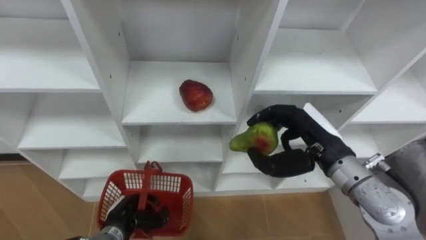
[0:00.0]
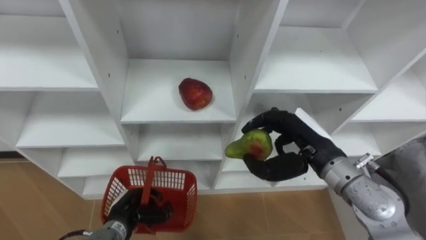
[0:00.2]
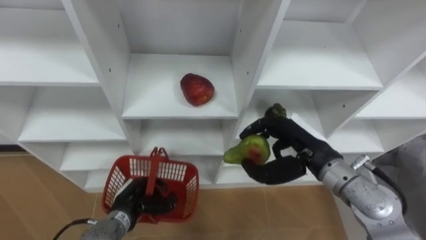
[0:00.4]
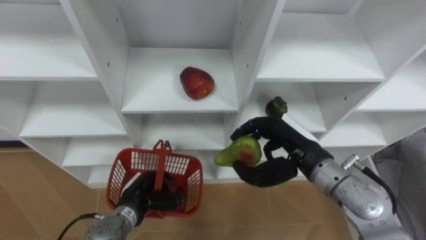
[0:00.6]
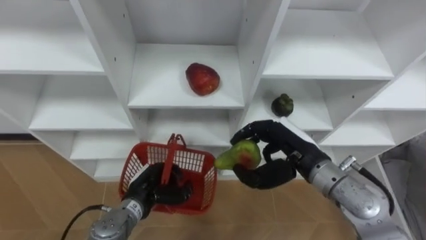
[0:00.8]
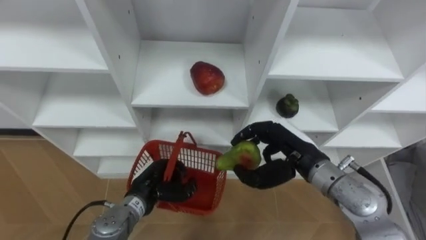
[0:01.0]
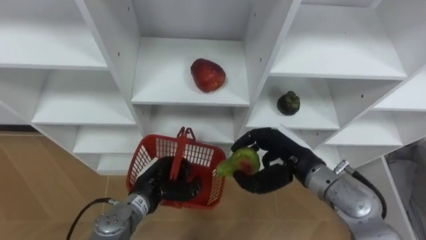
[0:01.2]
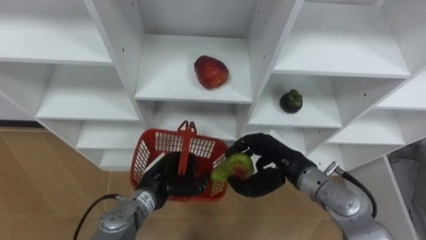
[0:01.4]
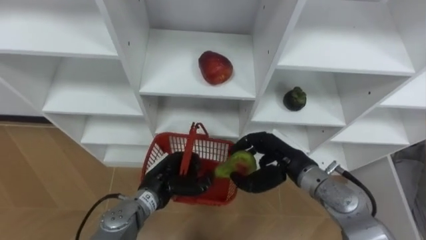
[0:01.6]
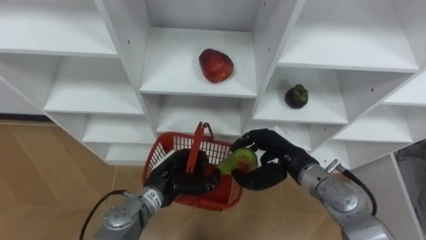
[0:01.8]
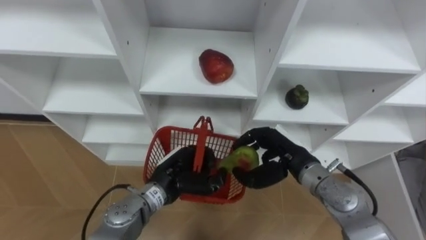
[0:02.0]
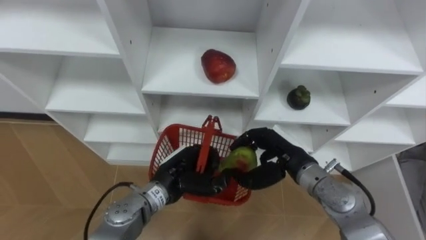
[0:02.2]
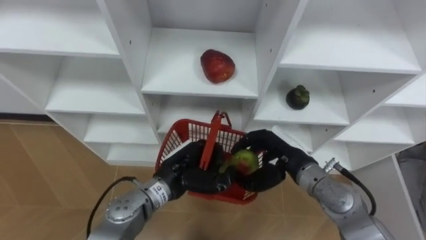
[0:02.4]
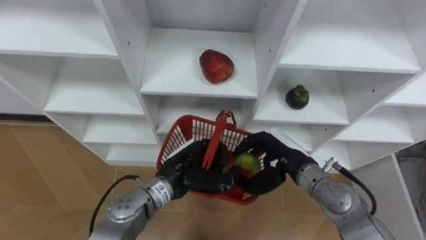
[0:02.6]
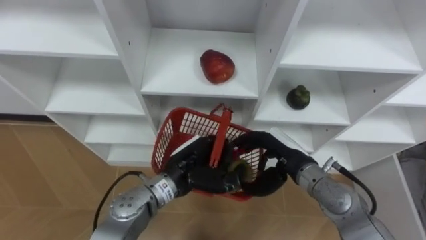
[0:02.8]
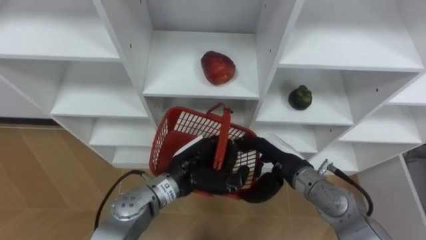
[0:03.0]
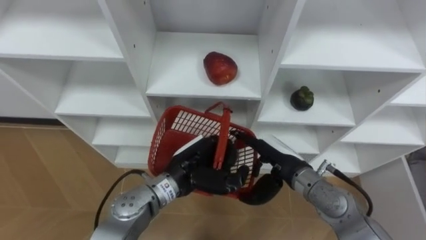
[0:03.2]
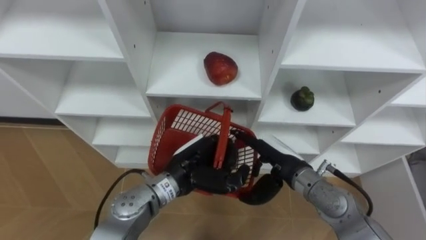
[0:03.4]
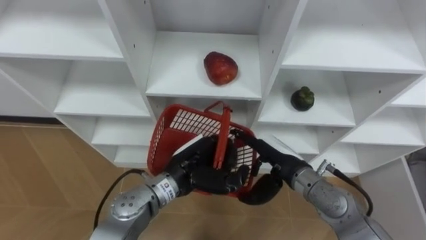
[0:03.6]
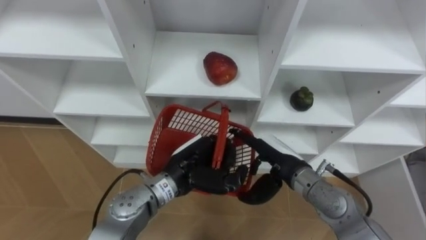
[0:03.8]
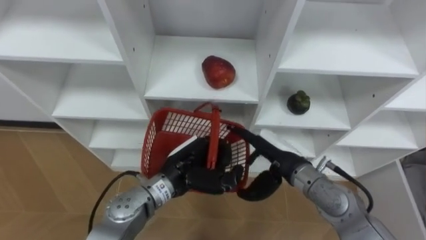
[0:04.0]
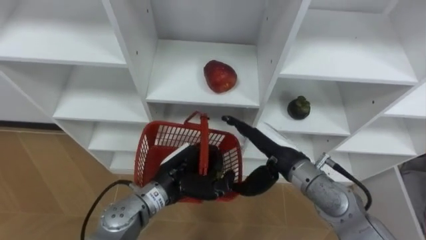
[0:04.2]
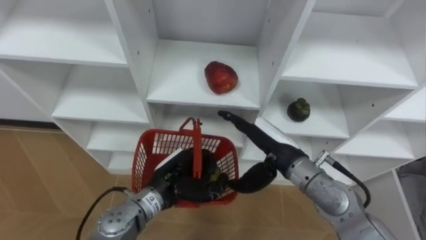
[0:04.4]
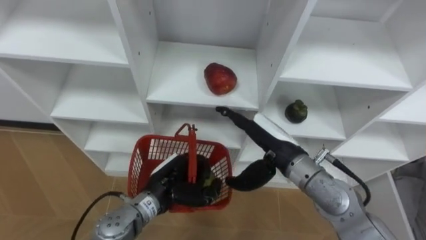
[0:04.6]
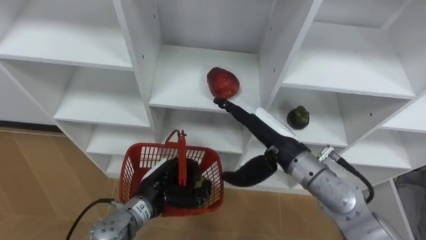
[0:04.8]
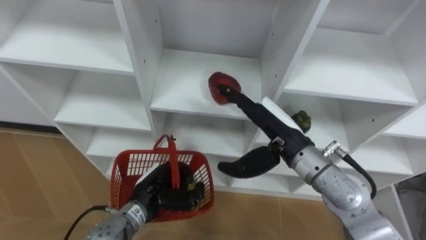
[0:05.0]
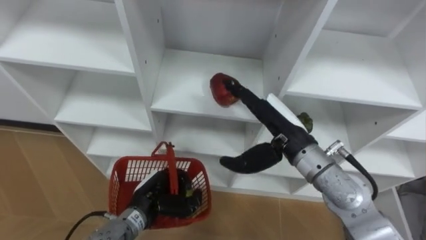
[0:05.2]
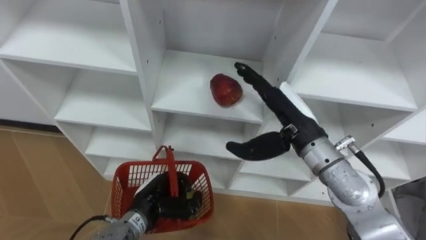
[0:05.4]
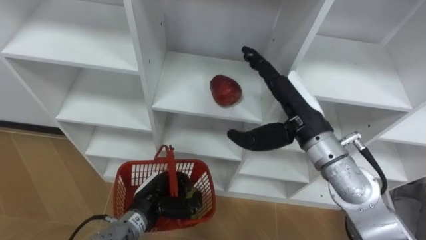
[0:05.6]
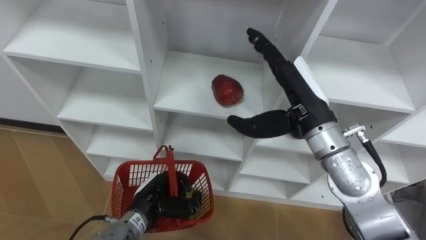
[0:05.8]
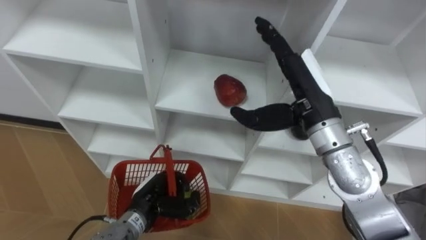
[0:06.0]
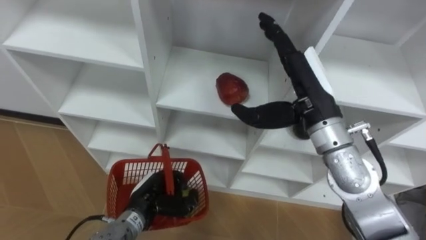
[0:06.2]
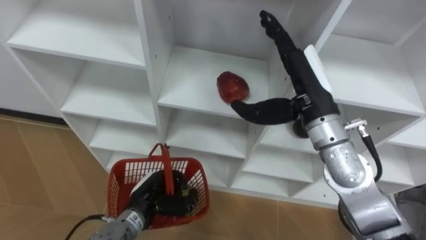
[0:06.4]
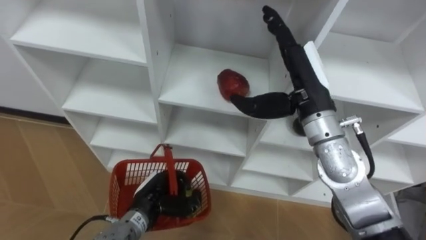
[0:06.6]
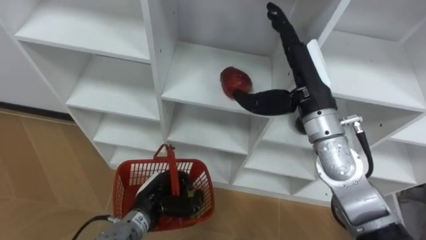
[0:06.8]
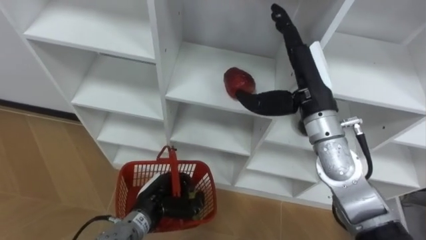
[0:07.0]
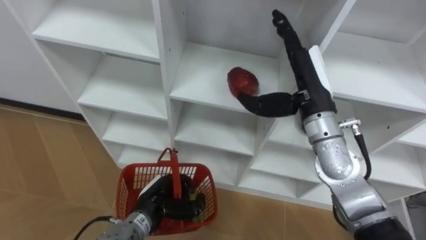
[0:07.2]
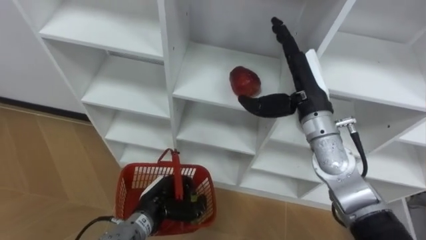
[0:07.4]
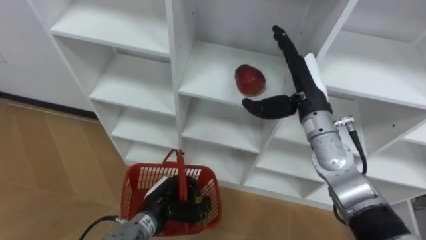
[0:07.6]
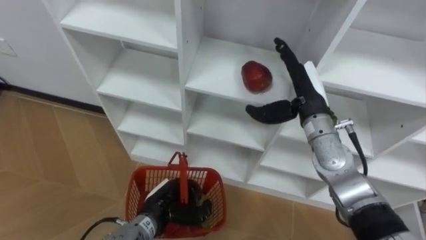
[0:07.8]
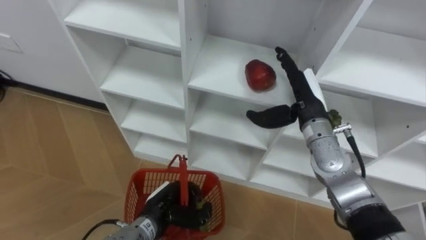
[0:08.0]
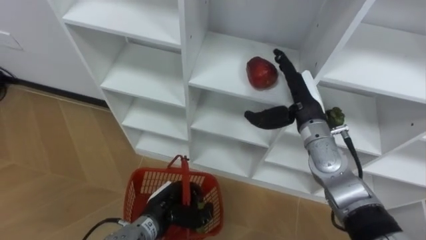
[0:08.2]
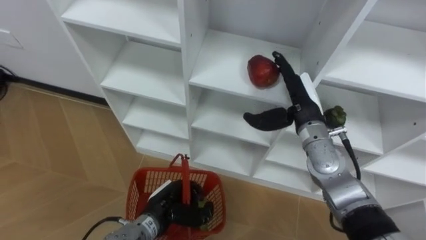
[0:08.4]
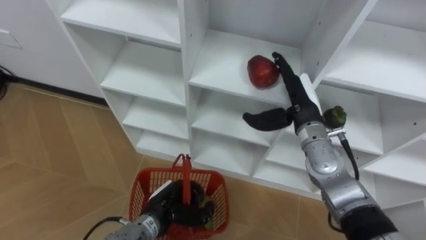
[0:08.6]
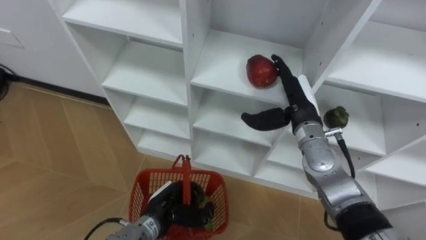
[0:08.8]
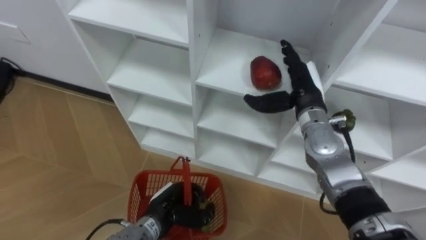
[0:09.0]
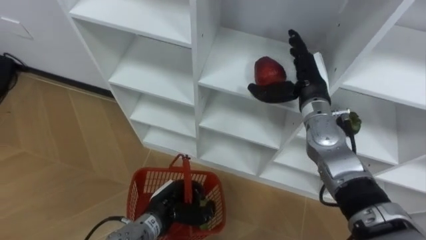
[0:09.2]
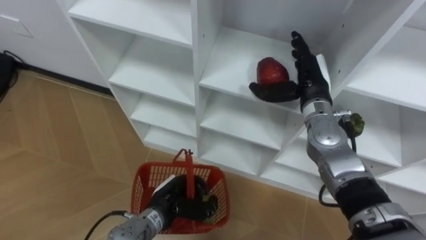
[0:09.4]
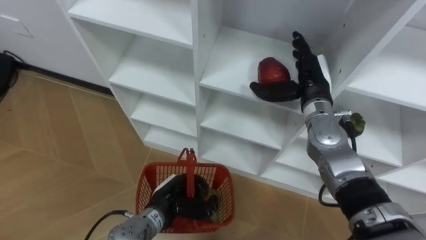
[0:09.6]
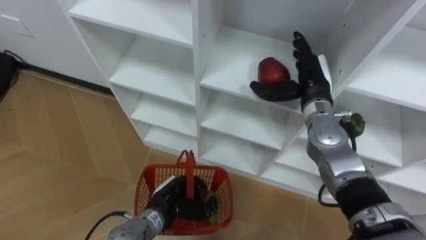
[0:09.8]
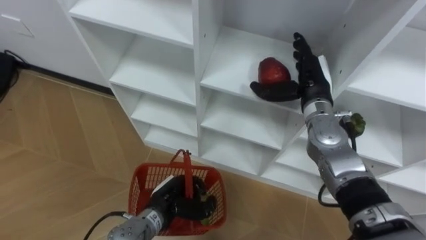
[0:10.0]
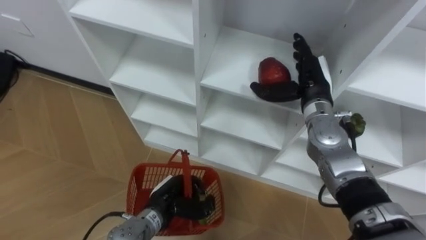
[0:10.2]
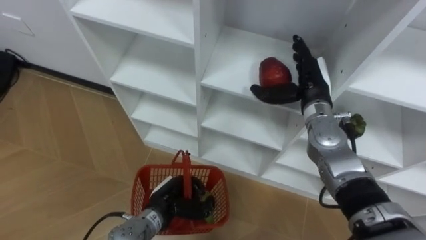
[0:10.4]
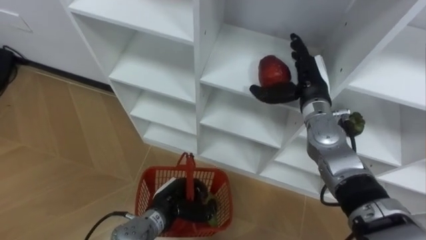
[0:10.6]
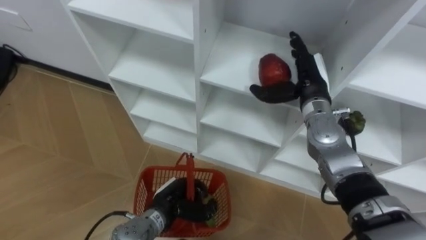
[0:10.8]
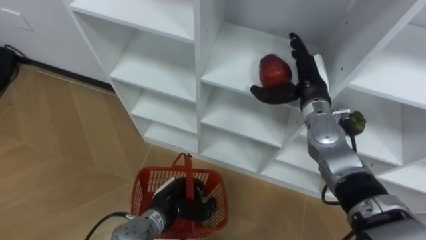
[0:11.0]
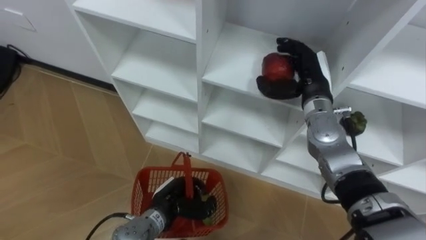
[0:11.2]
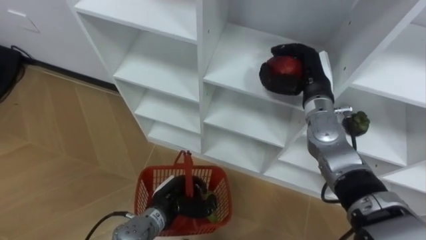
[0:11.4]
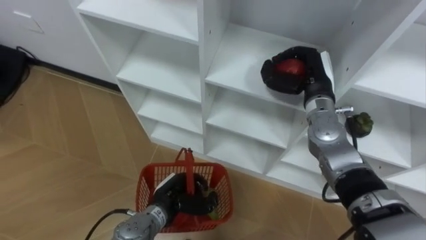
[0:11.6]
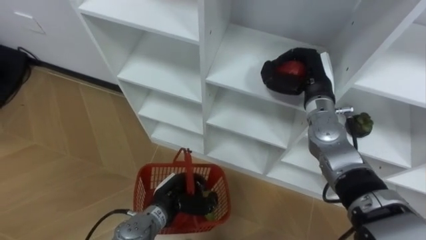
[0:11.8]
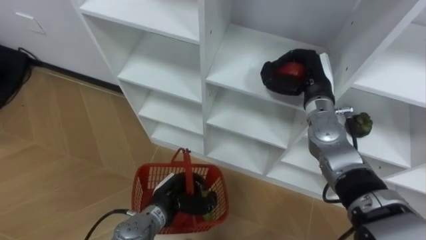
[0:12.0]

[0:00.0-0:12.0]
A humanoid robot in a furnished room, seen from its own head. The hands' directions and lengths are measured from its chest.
Task of the whole recording: Hold the basket and collect the fruits from 3 different cells of the closet into it.
0.0 to 1.6 s: The right hand goes roughly 10 cm downward. Meanwhile the left hand shifts roughly 15 cm to the right, upward and forward.
1.6 to 3.0 s: The left hand moves upward and to the right, roughly 10 cm.
4.4 to 6.0 s: The left hand is displaced downward and to the left by approximately 10 cm, while the right hand shifts some 10 cm upward.
6.0 to 7.6 s: The right hand is displaced downward by roughly 5 cm.
10.4 to 12.0 s: The right hand closes.

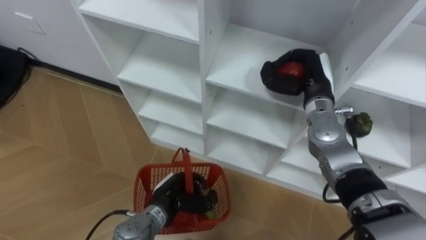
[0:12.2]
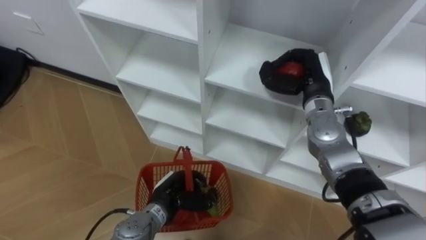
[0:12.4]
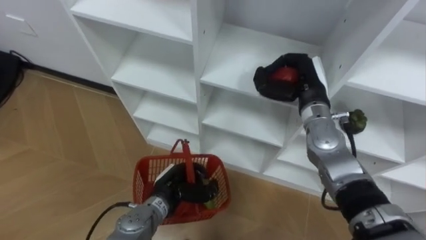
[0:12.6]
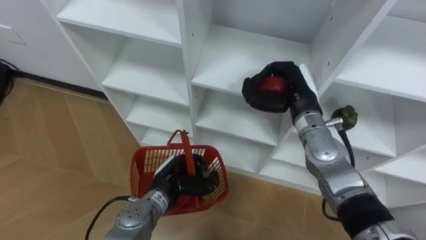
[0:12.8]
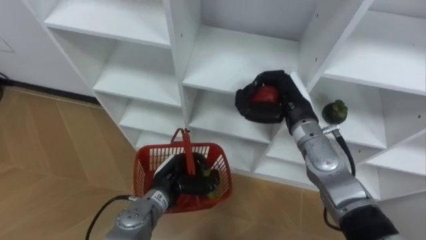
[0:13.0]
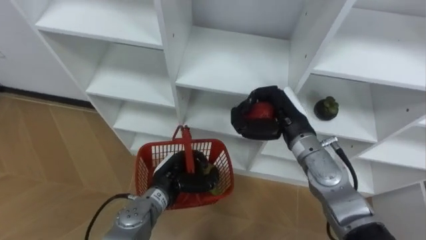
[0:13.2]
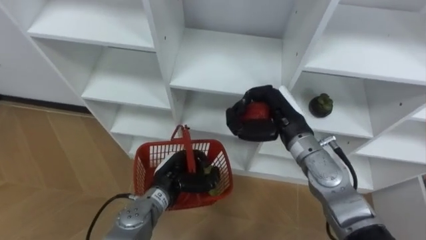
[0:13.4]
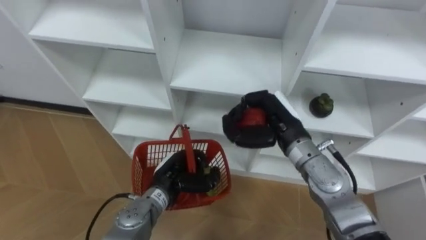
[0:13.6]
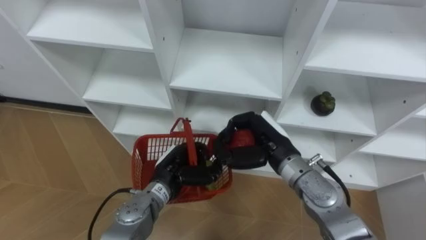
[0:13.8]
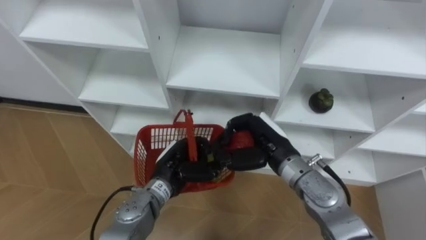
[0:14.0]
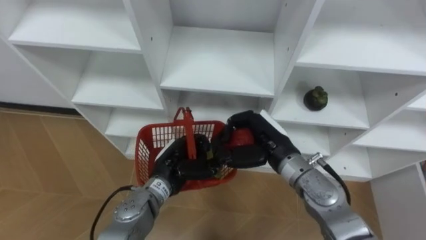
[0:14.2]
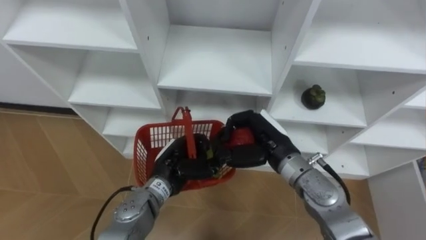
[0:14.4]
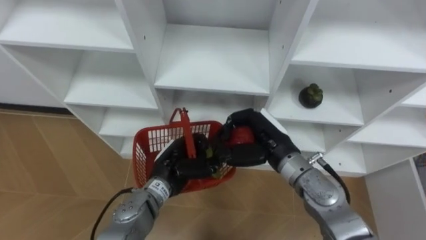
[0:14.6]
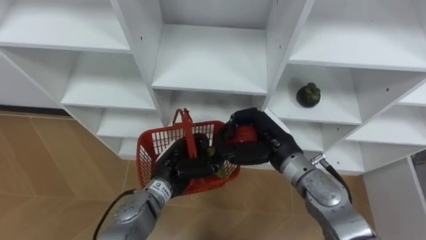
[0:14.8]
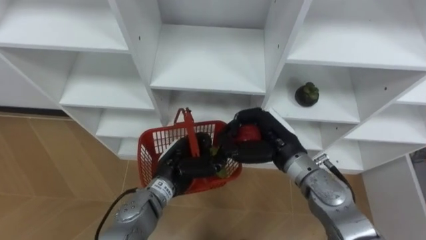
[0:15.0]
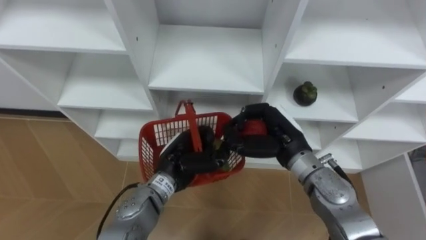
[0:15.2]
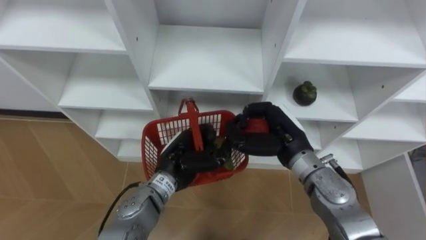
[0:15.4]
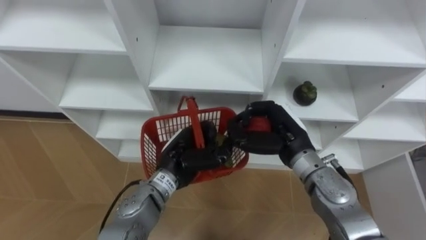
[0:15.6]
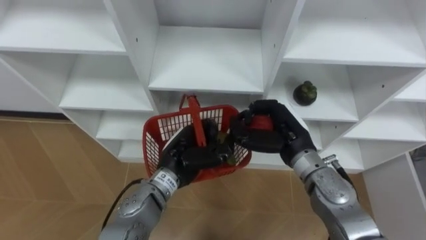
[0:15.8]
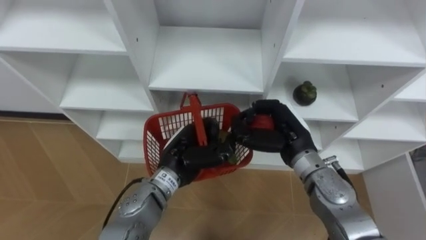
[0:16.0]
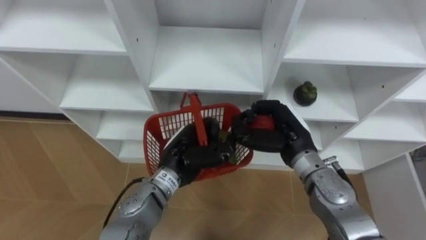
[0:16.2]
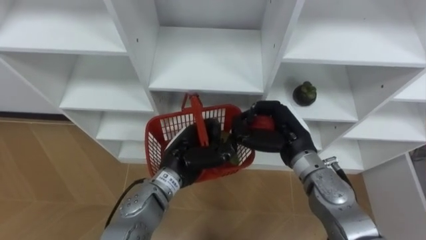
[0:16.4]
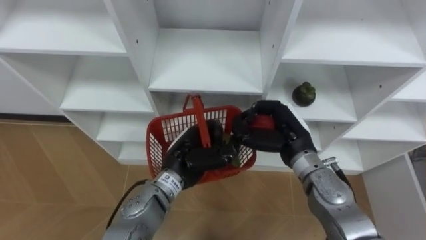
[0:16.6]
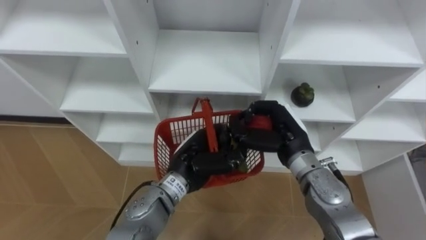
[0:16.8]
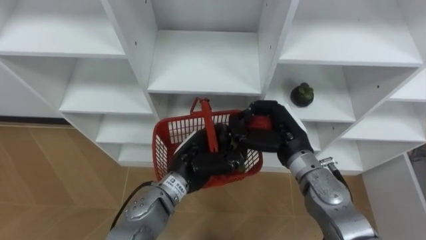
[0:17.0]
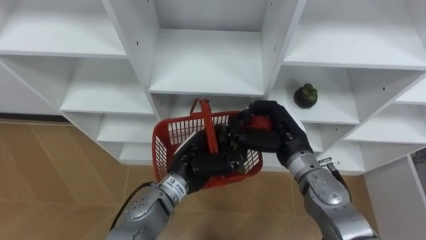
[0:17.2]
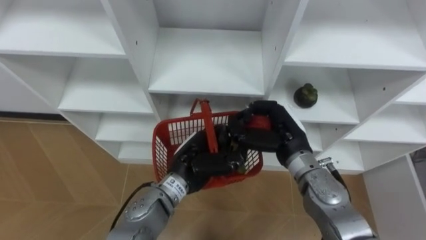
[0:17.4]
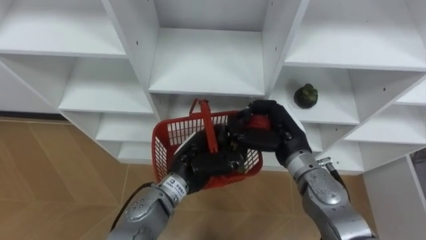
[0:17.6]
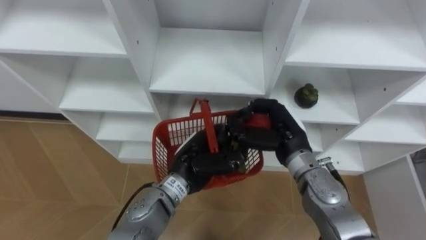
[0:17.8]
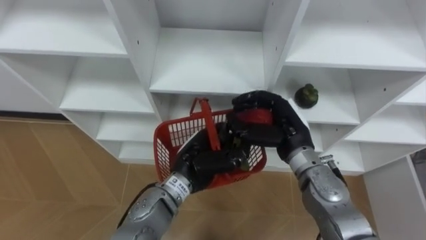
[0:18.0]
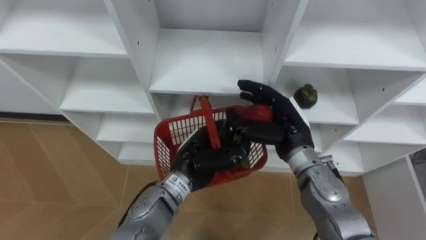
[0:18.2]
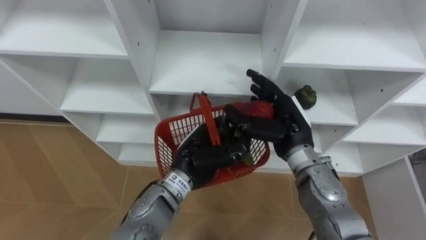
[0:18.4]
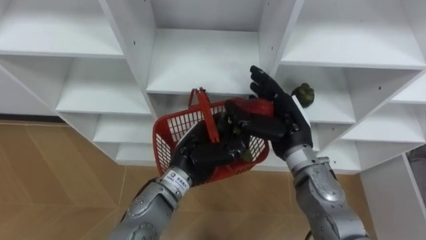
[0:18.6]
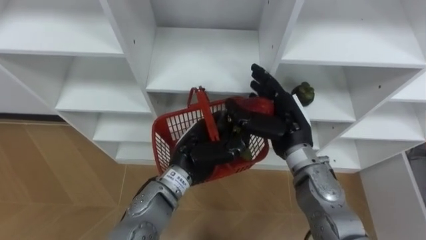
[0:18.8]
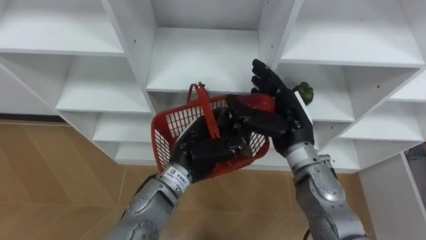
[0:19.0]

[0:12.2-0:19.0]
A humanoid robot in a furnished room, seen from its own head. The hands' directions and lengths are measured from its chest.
Task of the whole recording: Hold the basket and collect the fruits from 3 different cells of the closet into it.
12.2 to 13.6 s: The right hand is displaced backward and to the left by some 10 cm.
15.0 to 17.6 s: The hands make only small movements.
17.6 to 19.0 s: The right hand opens its fingers.
